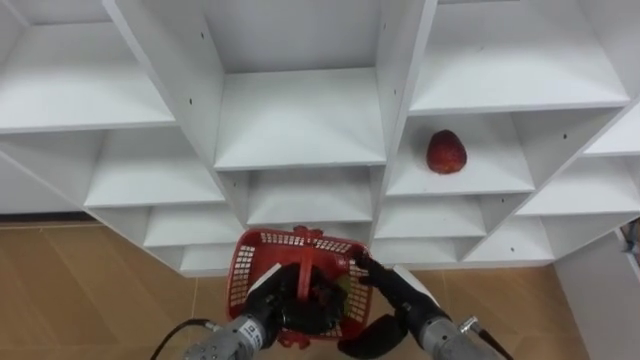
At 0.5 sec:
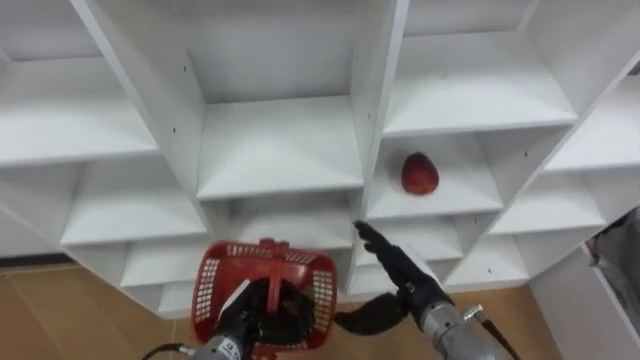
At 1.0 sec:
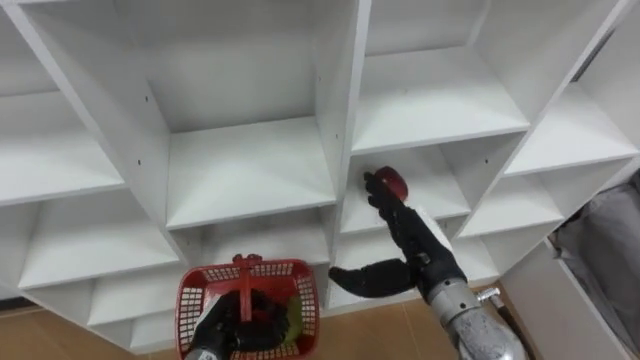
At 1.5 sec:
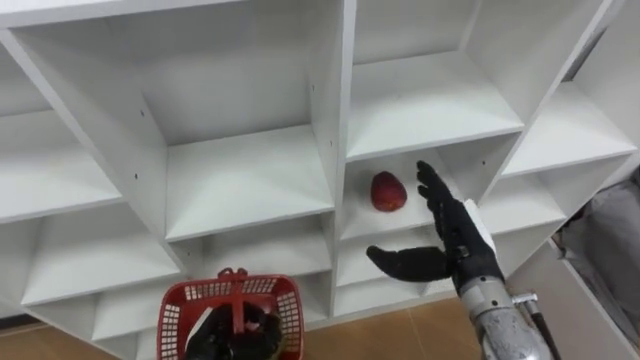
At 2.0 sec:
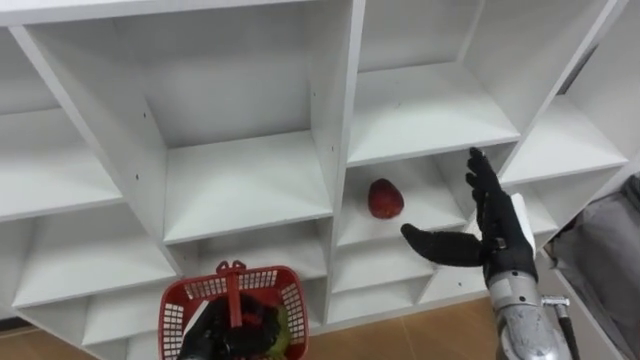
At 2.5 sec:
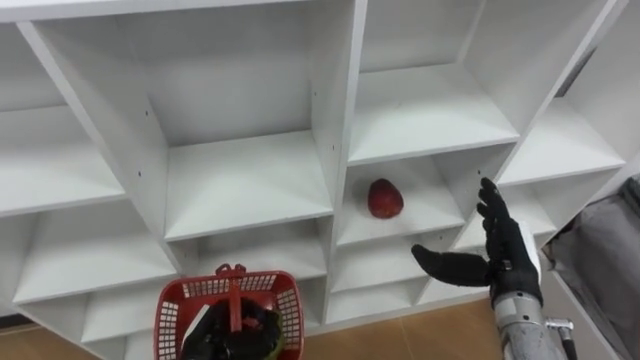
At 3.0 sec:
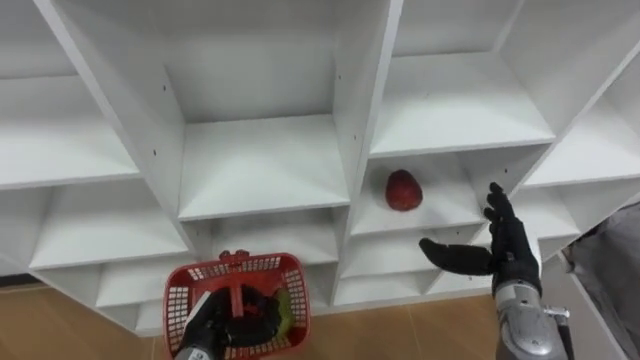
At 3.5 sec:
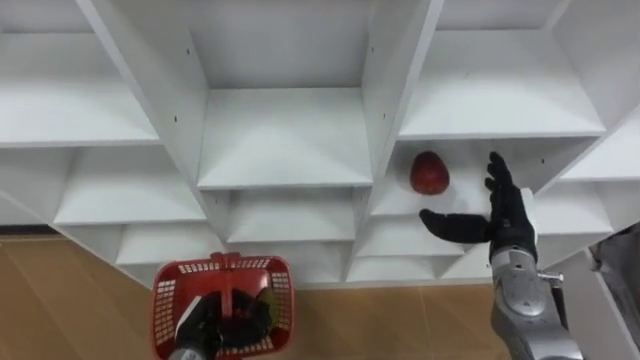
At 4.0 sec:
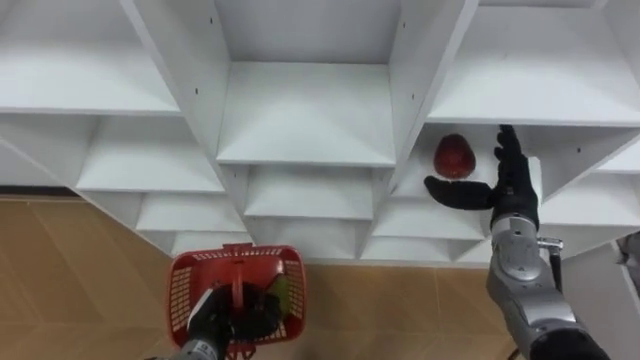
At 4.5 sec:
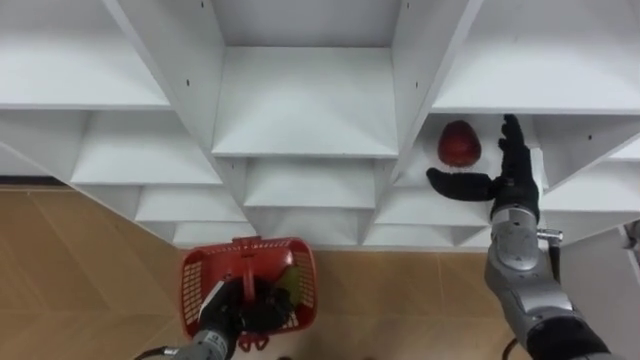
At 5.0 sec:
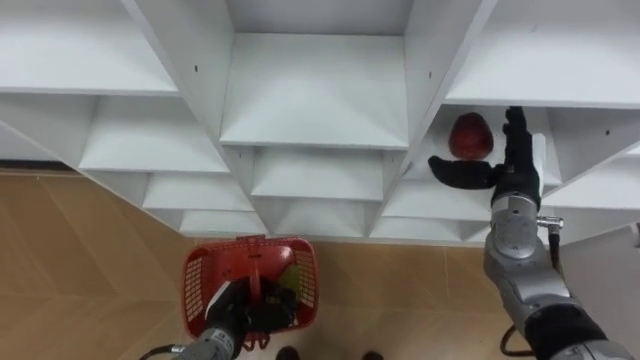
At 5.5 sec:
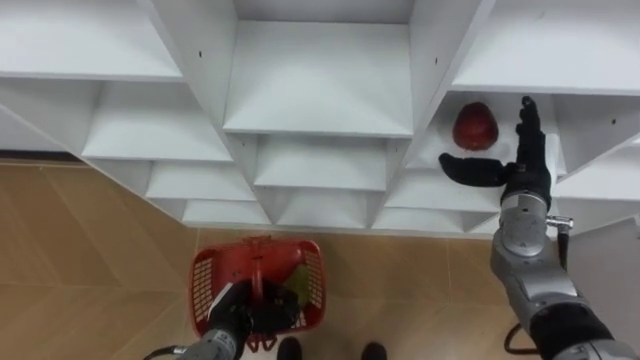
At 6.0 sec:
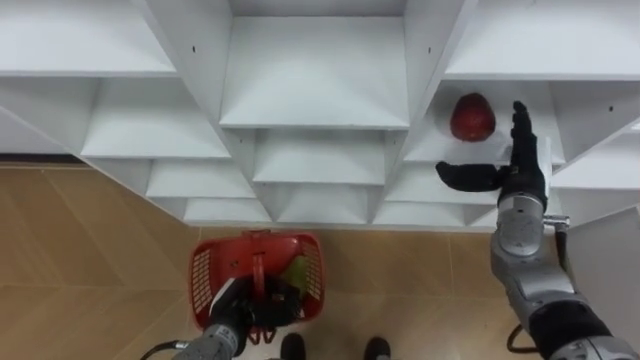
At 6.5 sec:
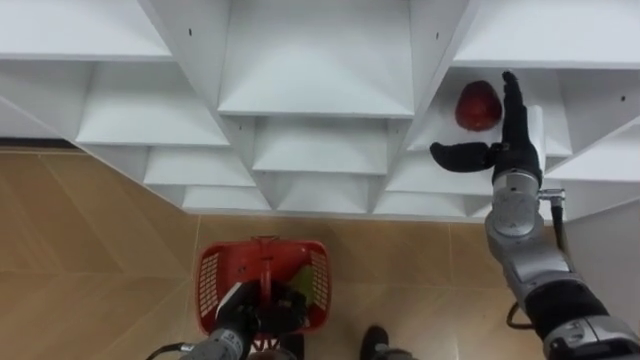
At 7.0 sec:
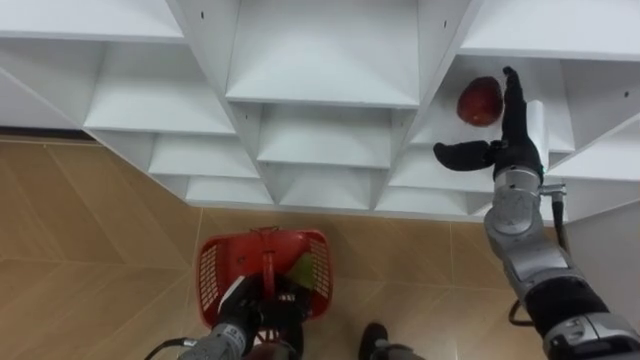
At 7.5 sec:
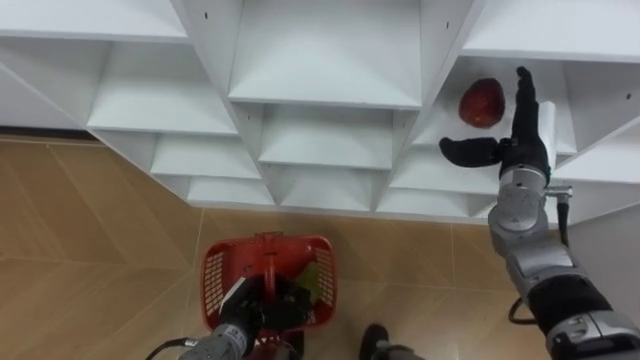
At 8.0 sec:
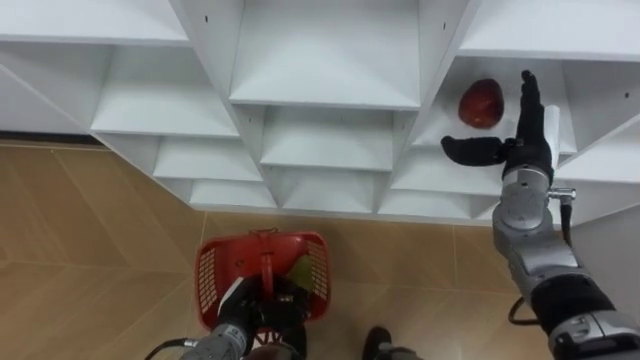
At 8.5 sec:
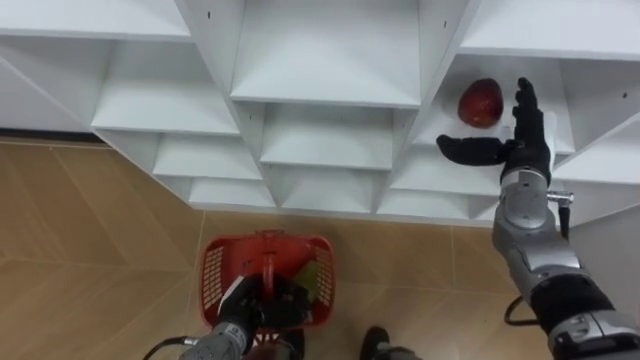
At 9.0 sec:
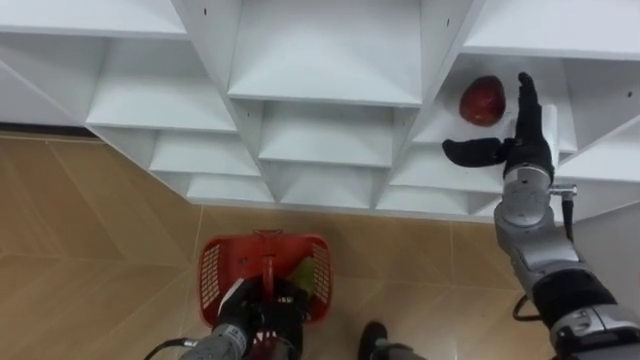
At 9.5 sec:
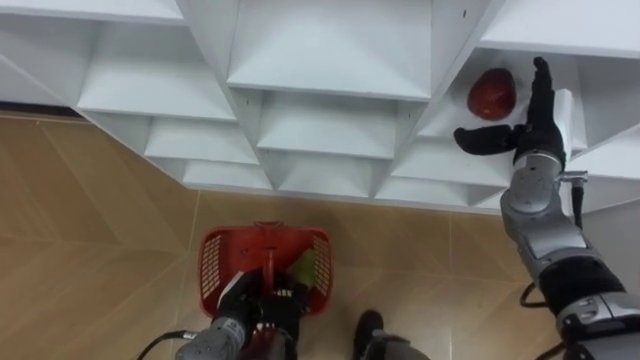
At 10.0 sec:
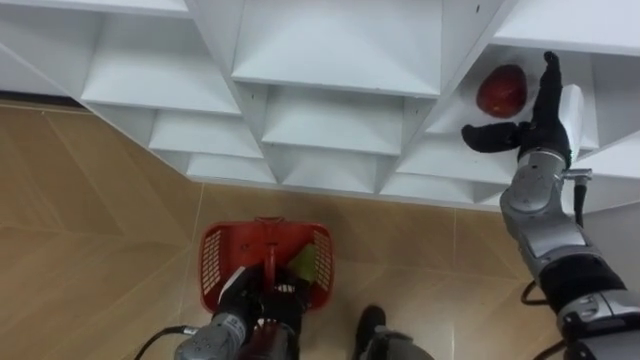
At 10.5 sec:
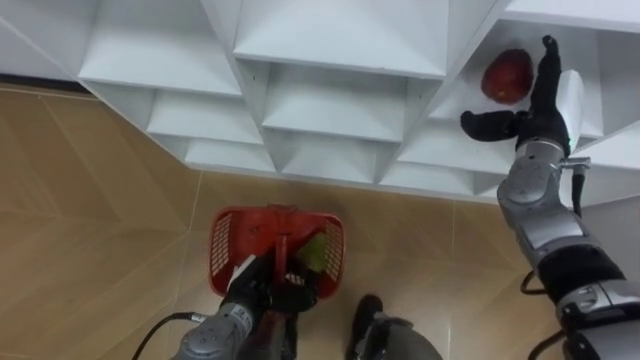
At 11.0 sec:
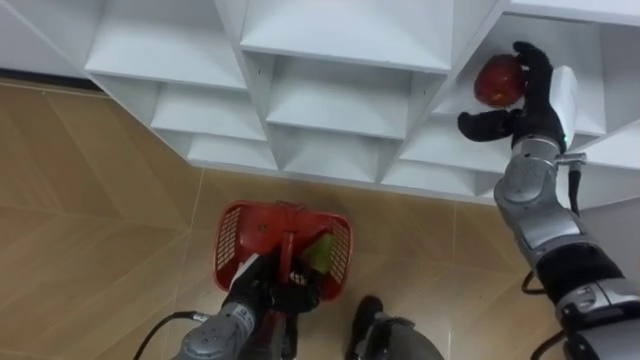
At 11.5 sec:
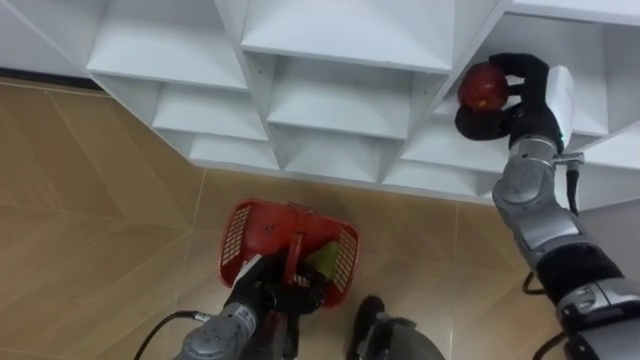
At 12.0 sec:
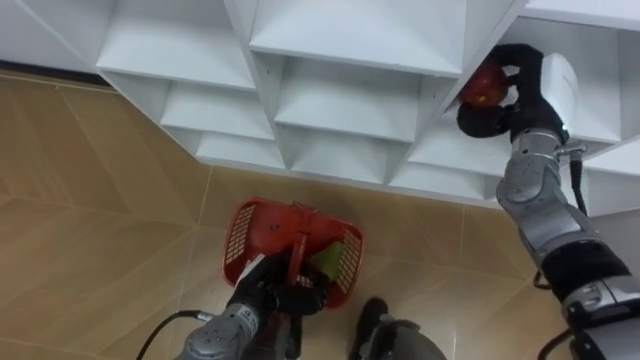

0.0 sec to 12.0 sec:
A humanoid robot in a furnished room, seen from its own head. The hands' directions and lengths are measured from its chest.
Task of the whole recording: Hold the basket and collect the fruits from 3 different cells of the closet into it.
0.0 sec to 2.0 sec: The right hand heads upward and to the right, covering roughly 15 cm, while the left hand is displaced to the left by approximately 10 cm.
2.0 sec to 4.0 sec: The right hand travels forward by some 5 cm.
10.0 sec to 12.0 sec: The right hand closes its fingers.

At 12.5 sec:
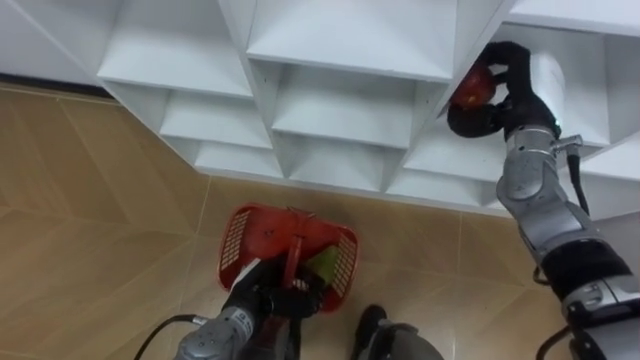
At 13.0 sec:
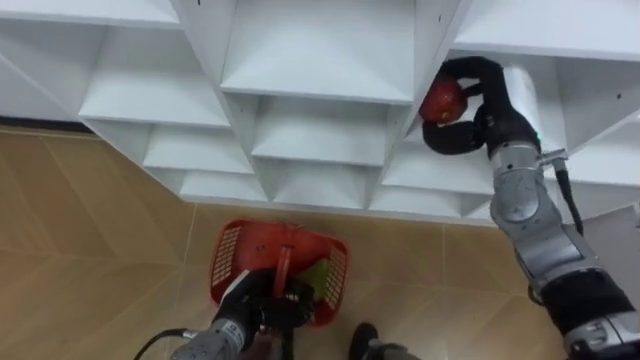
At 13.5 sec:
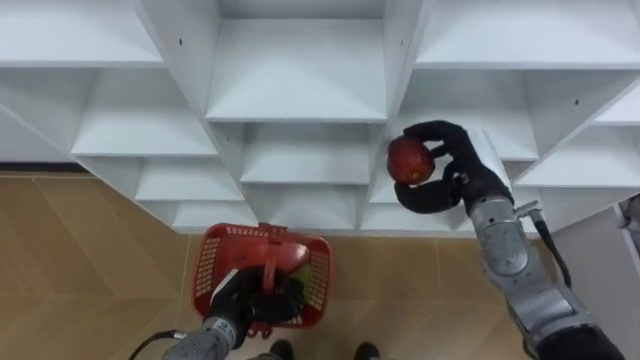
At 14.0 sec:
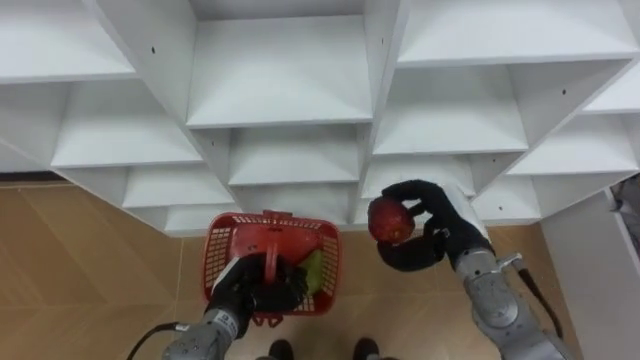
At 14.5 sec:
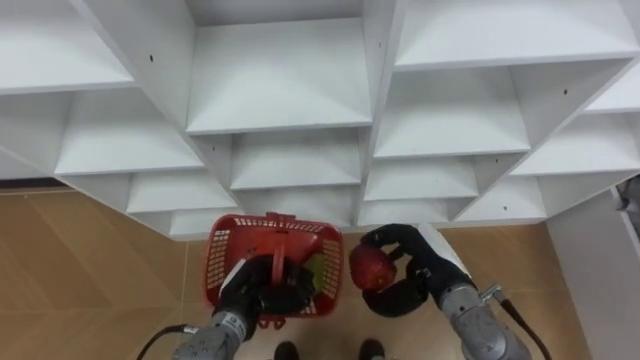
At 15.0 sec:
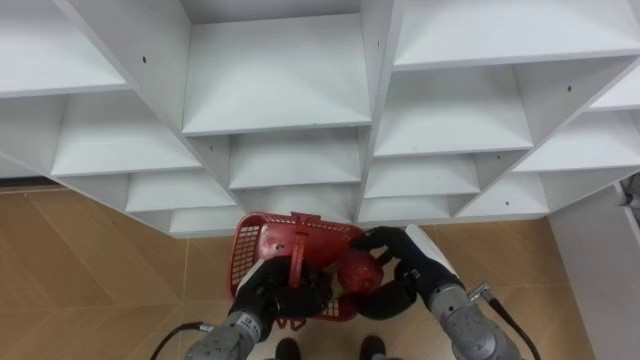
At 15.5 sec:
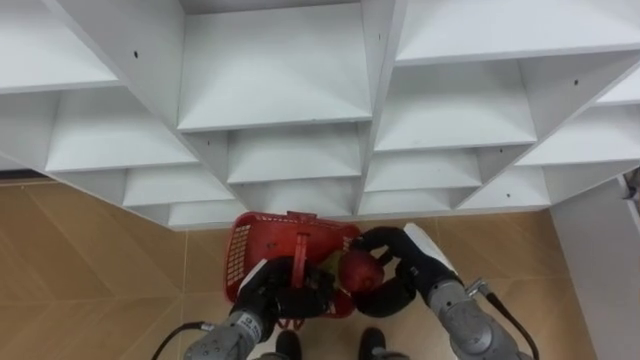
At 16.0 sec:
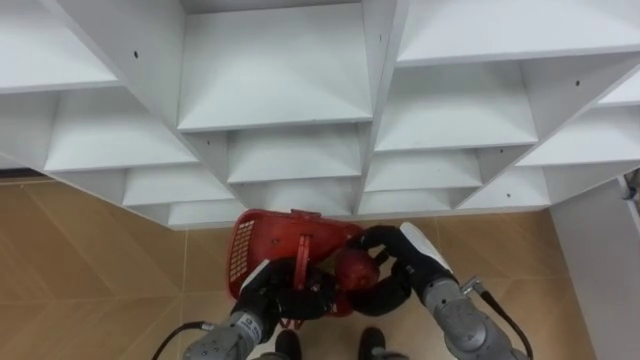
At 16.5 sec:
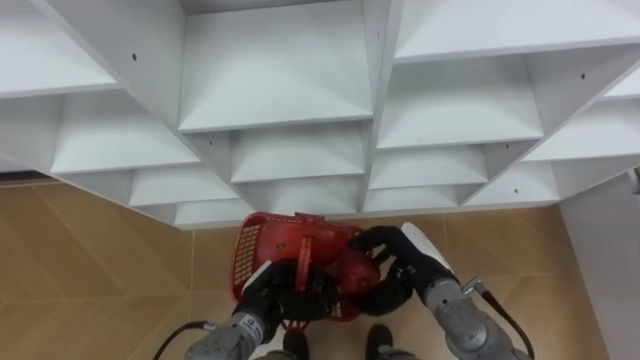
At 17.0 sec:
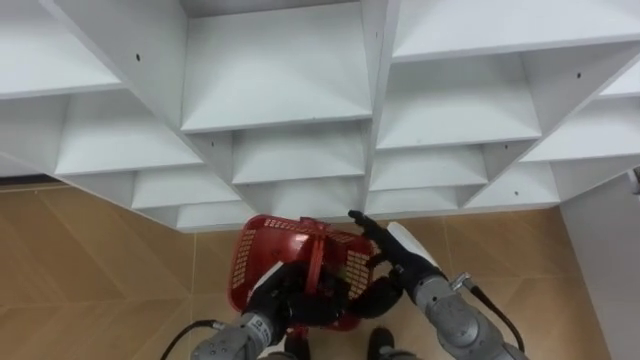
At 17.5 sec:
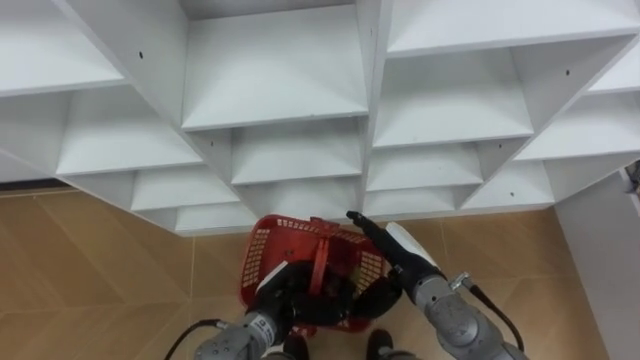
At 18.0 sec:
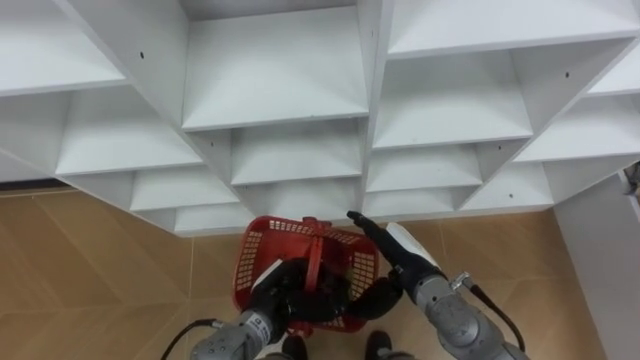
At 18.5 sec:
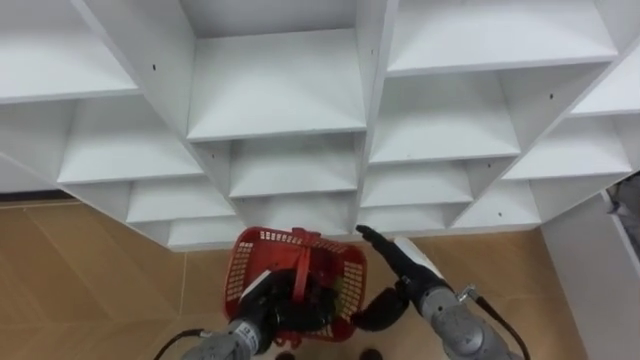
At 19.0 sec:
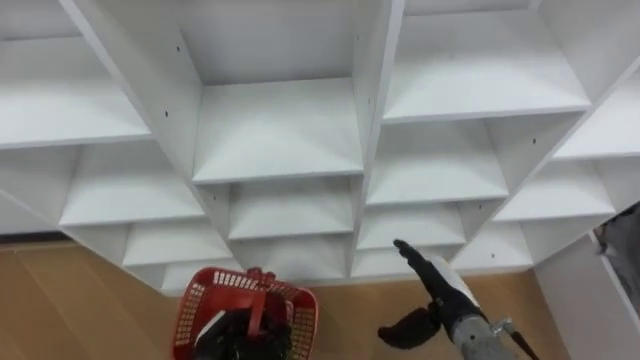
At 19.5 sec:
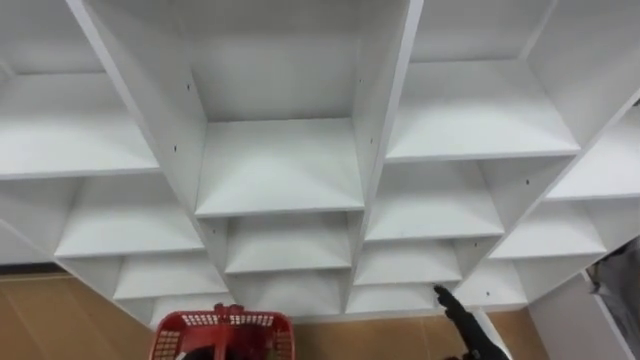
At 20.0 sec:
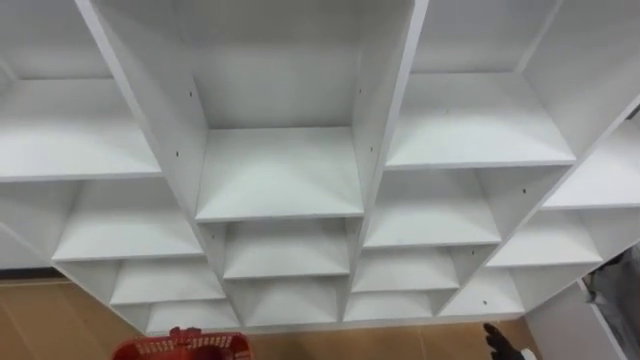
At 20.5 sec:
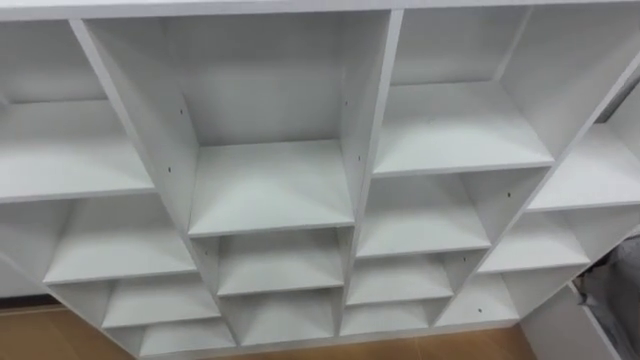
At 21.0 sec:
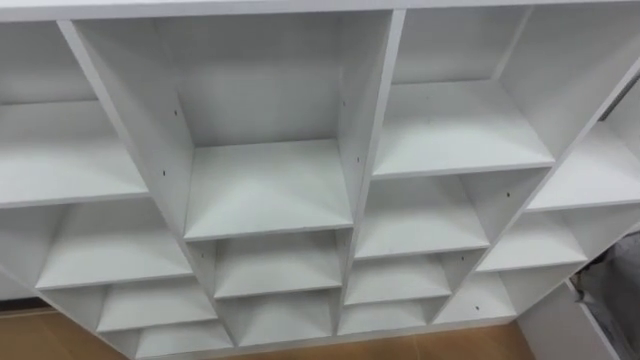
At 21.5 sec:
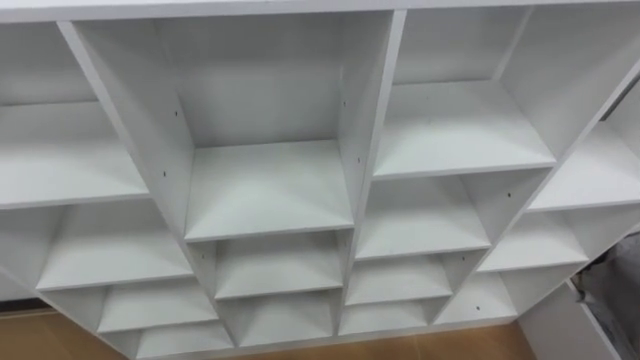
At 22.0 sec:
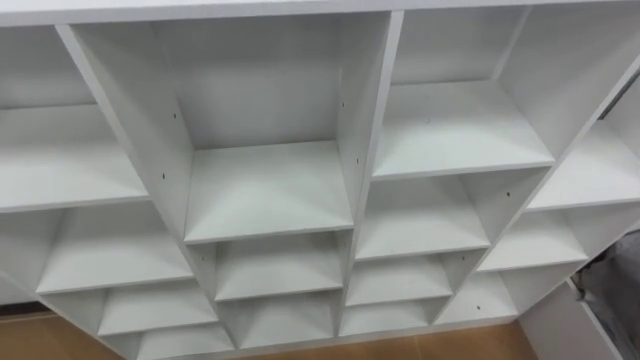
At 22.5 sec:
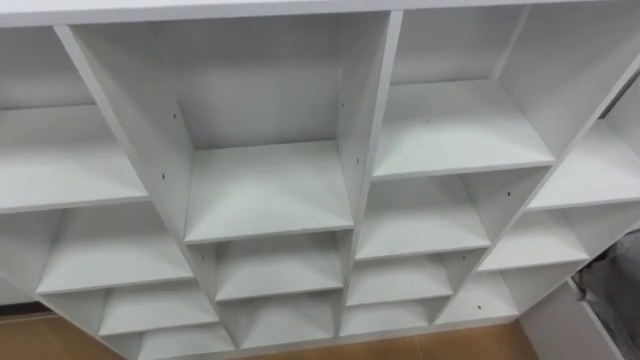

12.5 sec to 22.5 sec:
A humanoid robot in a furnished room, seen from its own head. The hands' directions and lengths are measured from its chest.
Task of the whole recording: Hold the basket and collect the fruits from 3 different cells of the closet into it.
12.5 sec to 14.5 sec: The right hand goes about 25 cm downward, backward and to the left.
16.5 sec to 18.5 sec: The right hand opens up.
